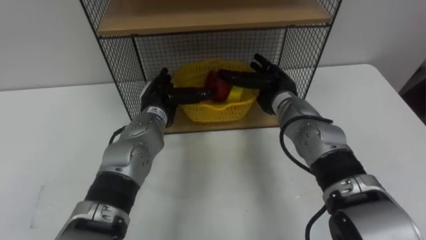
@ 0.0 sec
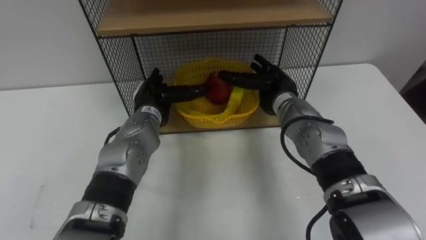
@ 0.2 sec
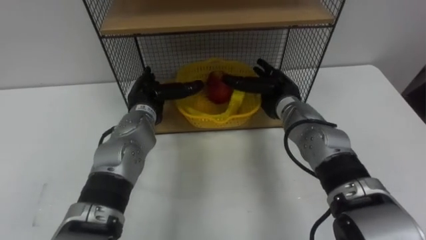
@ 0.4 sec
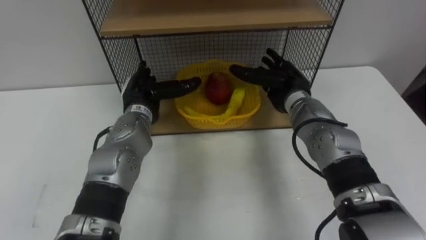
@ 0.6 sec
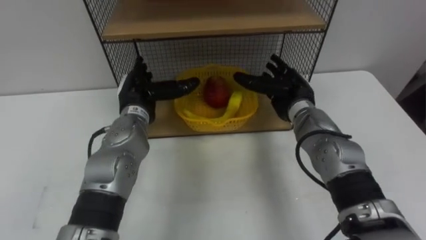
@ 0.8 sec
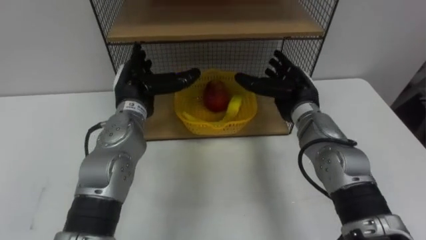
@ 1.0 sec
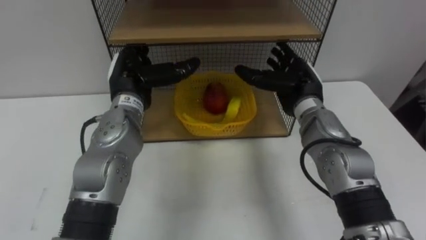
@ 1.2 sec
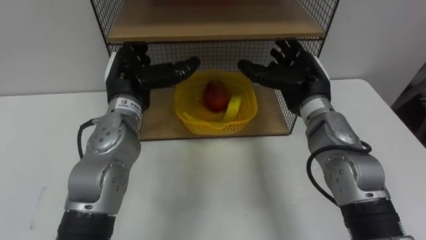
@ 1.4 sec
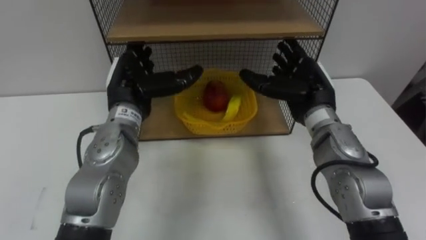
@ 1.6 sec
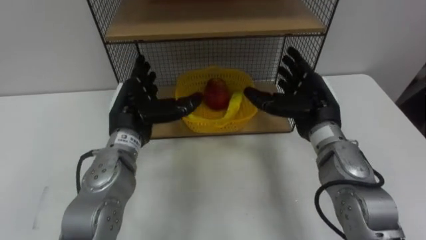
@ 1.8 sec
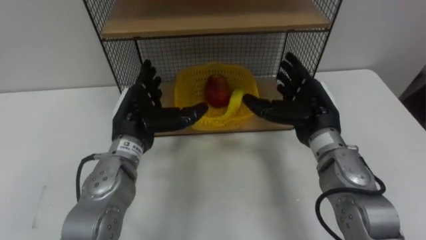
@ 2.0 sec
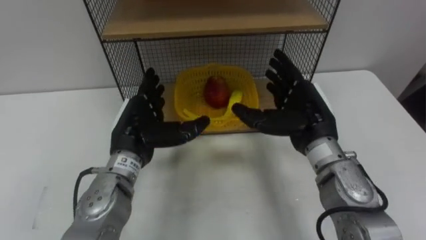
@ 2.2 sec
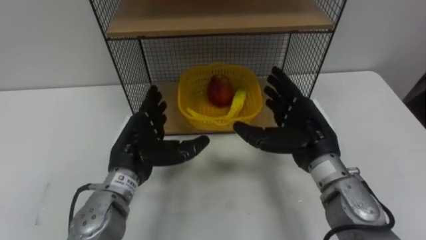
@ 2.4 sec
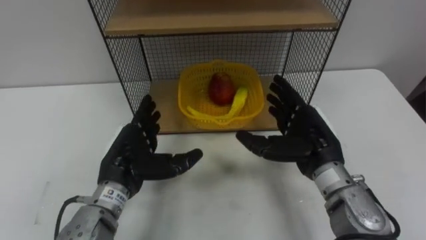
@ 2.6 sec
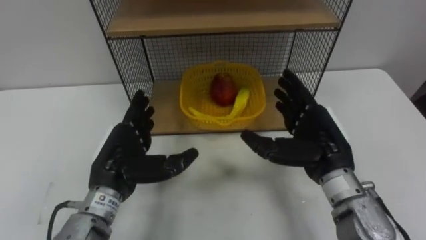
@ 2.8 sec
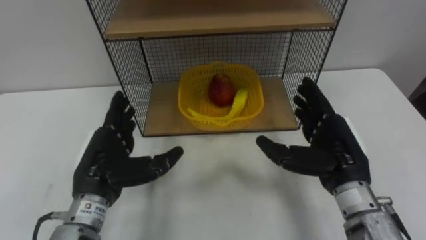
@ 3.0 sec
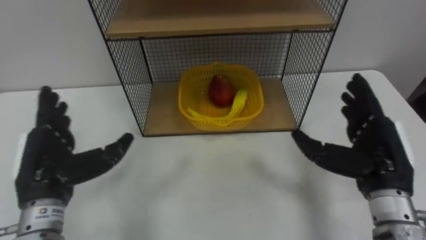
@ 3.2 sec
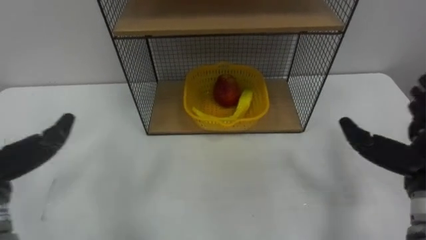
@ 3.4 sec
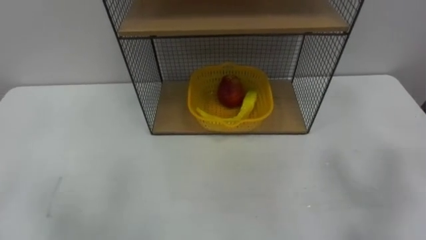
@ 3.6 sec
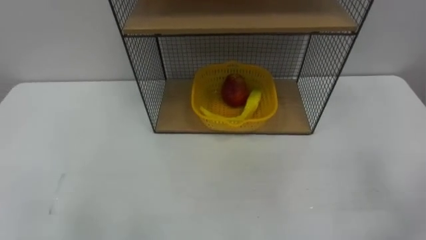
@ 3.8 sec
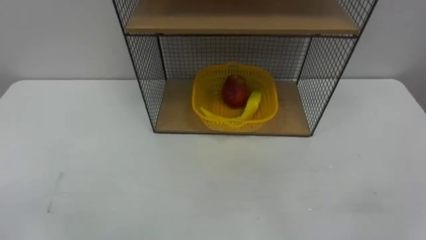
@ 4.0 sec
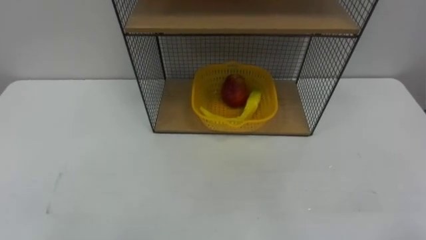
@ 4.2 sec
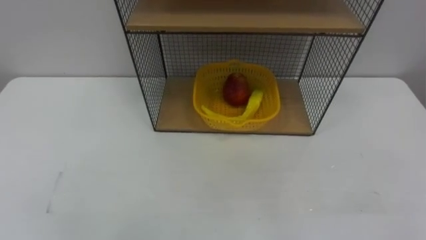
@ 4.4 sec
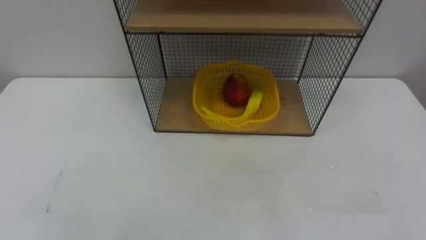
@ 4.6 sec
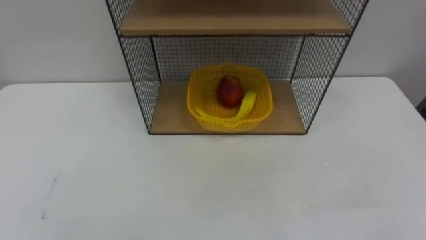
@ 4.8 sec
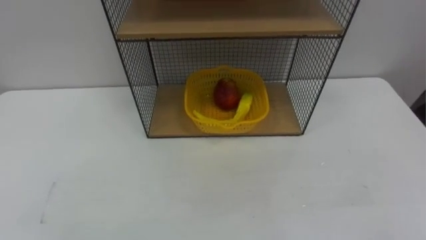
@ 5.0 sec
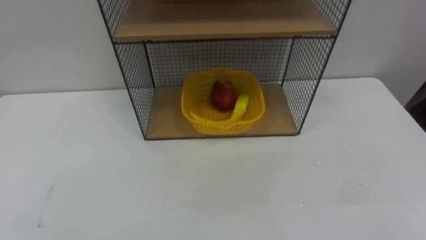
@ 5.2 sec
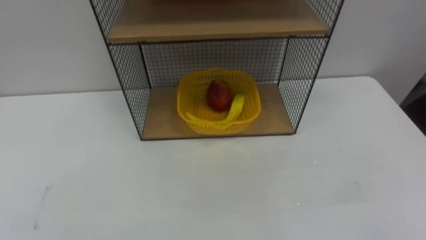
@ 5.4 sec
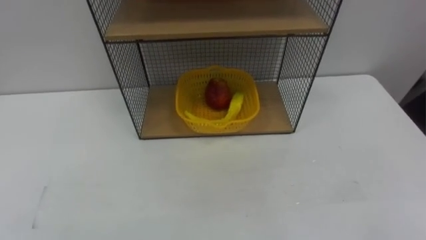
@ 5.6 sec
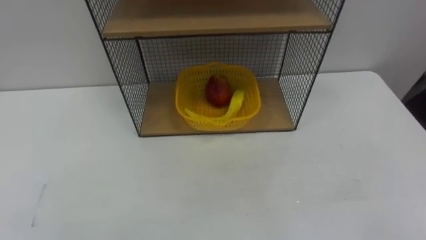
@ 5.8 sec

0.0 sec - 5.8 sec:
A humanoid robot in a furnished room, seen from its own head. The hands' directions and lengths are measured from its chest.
Task of the whole recording: Put the fruit on the table into the basket, then place the basket on the shelf.
0.0 sec - 1.4 sec: The left hand heads upward, covering roughly 10 cm, while the right hand is displaced upward by roughly 5 cm.
1.4 sec - 2.8 sec: The right hand moves backward, approximately 10 cm. Meanwhile the left hand moves backward and downward, approximately 15 cm.

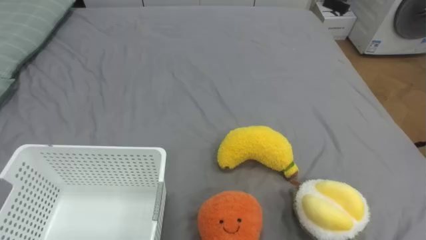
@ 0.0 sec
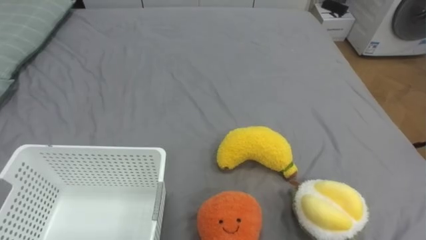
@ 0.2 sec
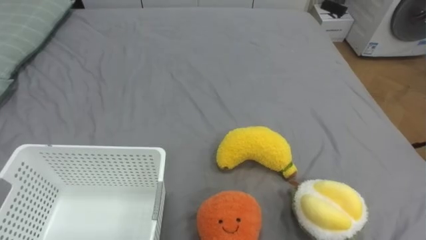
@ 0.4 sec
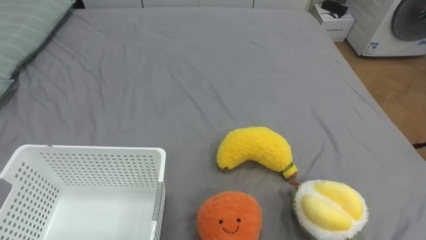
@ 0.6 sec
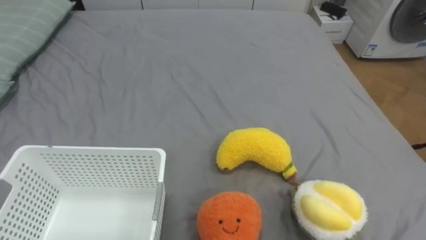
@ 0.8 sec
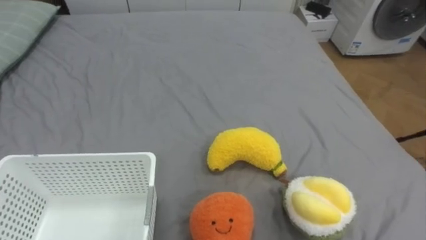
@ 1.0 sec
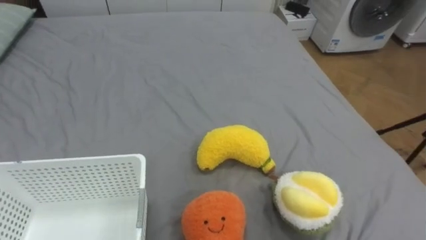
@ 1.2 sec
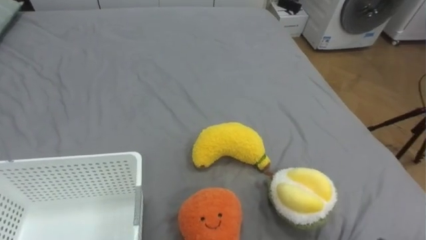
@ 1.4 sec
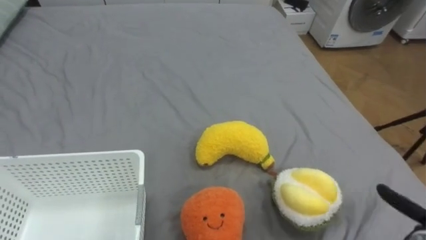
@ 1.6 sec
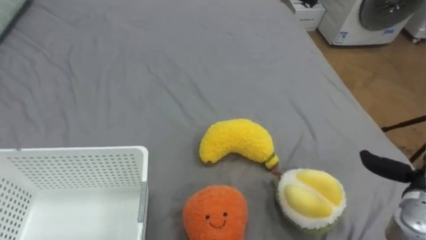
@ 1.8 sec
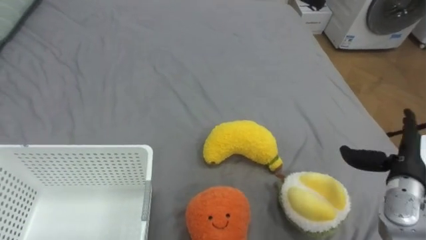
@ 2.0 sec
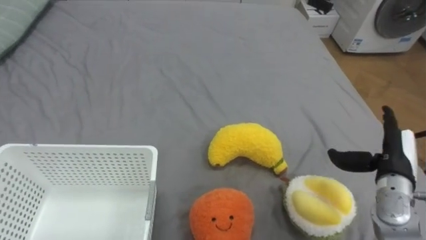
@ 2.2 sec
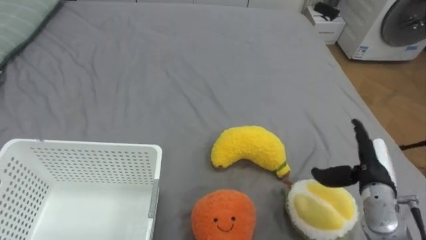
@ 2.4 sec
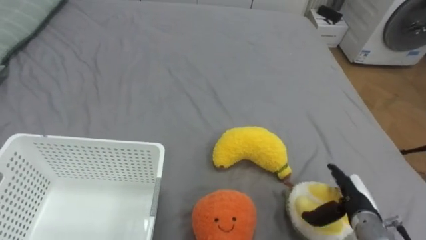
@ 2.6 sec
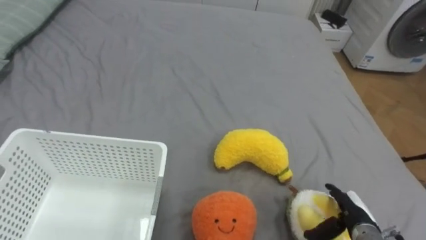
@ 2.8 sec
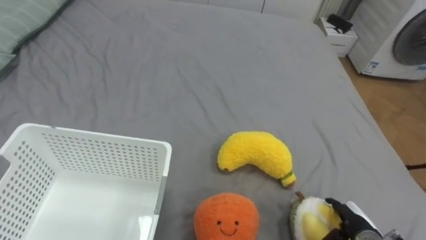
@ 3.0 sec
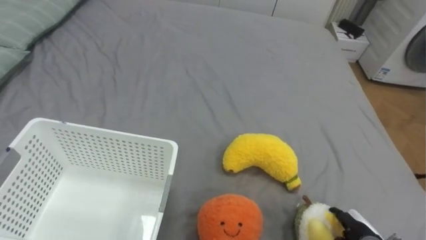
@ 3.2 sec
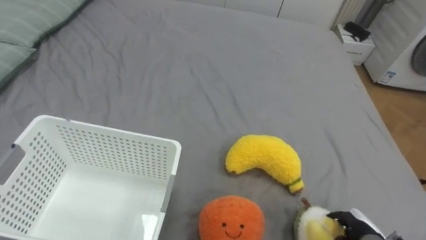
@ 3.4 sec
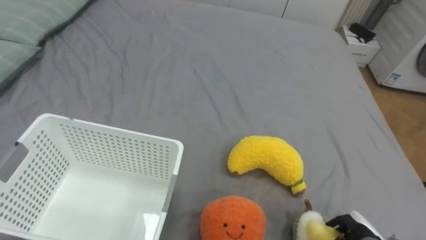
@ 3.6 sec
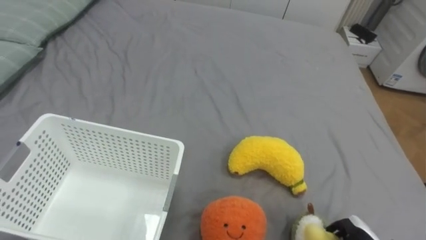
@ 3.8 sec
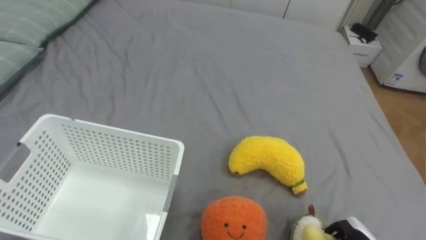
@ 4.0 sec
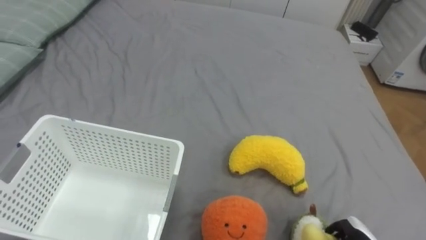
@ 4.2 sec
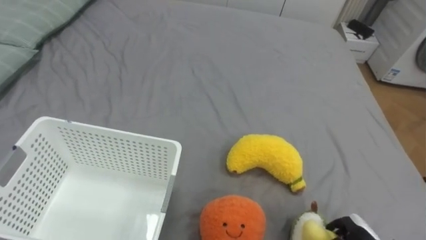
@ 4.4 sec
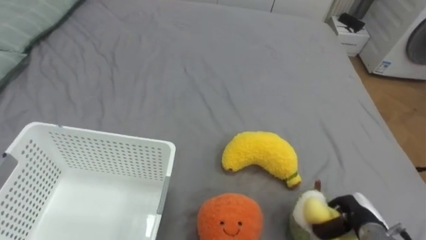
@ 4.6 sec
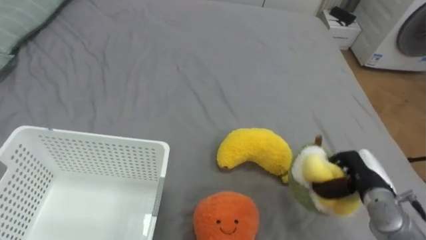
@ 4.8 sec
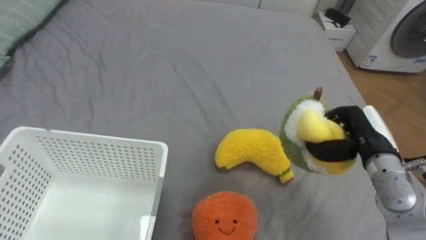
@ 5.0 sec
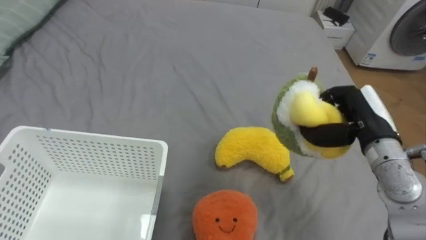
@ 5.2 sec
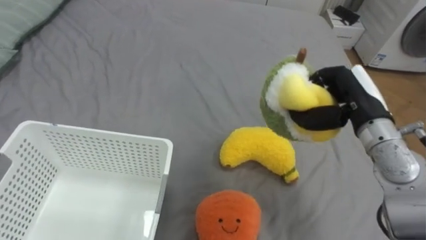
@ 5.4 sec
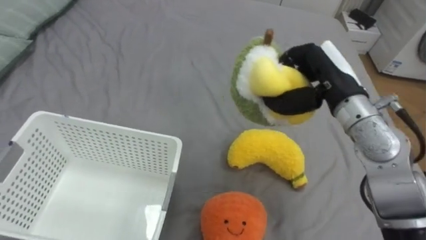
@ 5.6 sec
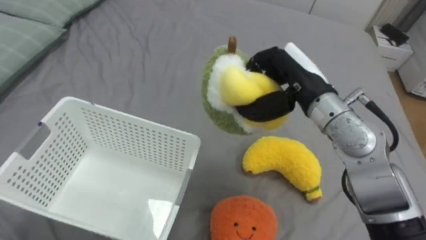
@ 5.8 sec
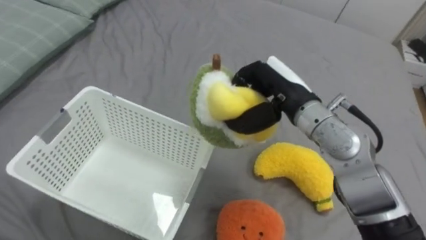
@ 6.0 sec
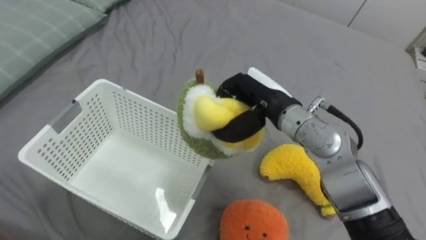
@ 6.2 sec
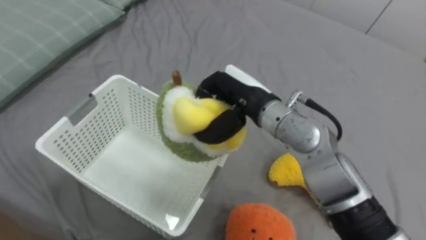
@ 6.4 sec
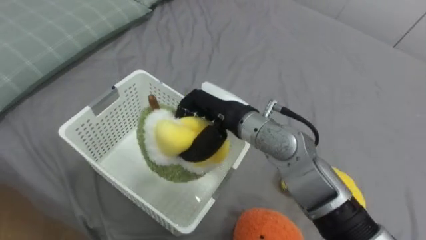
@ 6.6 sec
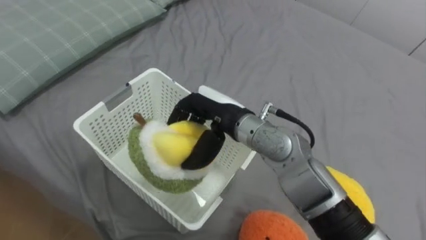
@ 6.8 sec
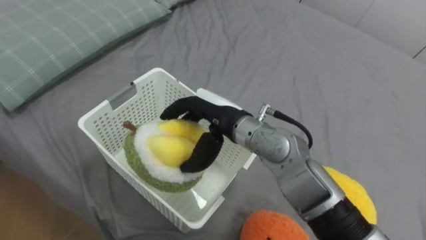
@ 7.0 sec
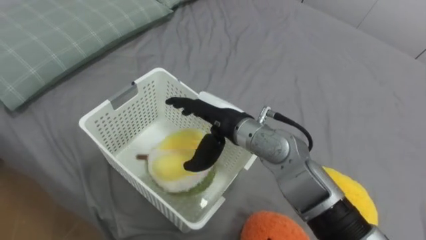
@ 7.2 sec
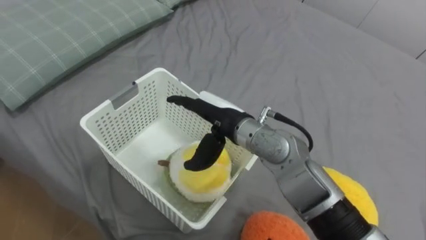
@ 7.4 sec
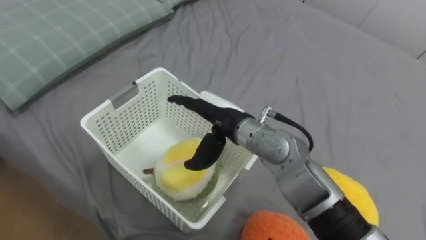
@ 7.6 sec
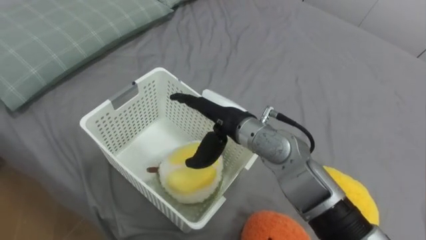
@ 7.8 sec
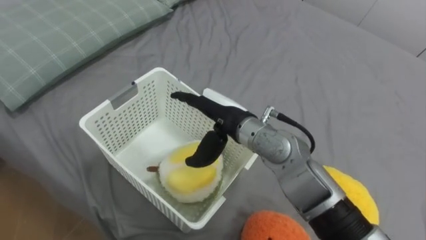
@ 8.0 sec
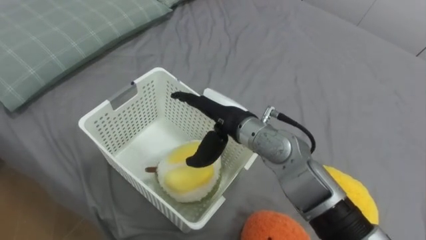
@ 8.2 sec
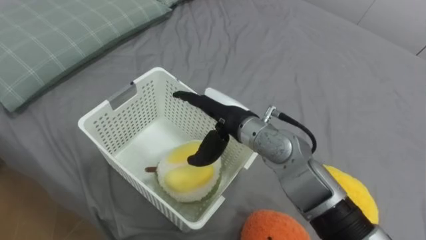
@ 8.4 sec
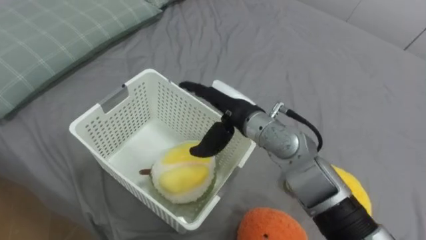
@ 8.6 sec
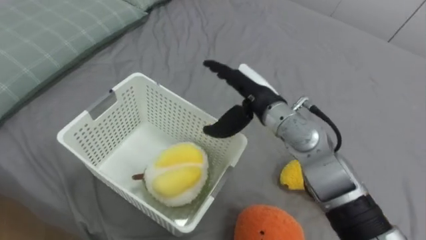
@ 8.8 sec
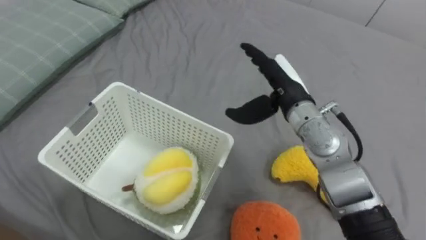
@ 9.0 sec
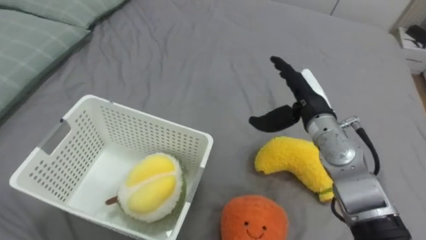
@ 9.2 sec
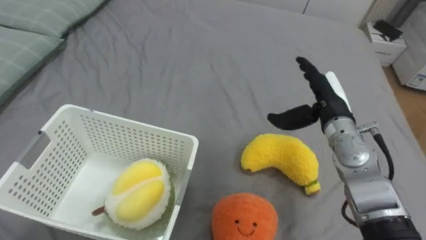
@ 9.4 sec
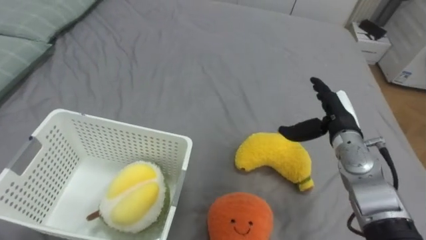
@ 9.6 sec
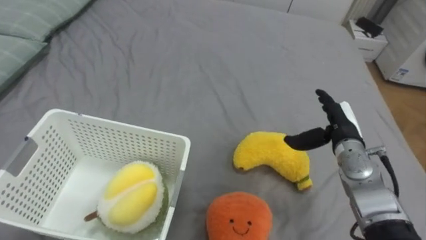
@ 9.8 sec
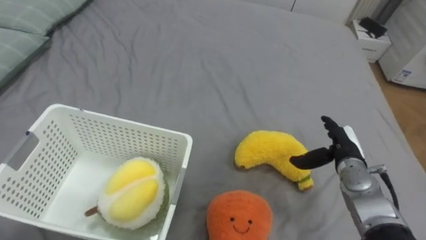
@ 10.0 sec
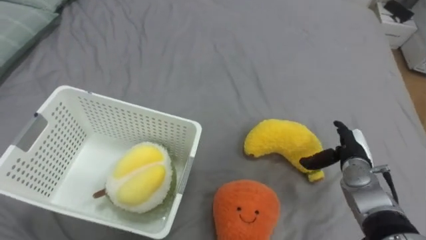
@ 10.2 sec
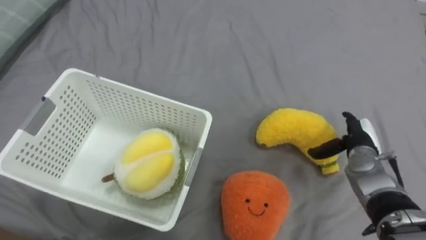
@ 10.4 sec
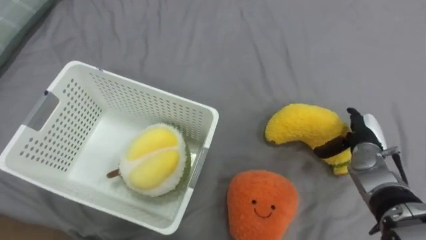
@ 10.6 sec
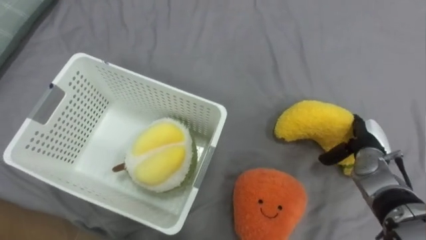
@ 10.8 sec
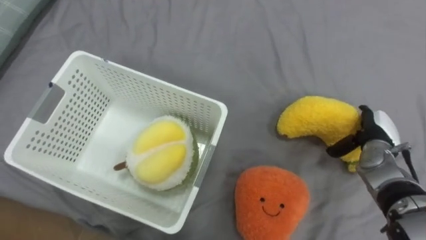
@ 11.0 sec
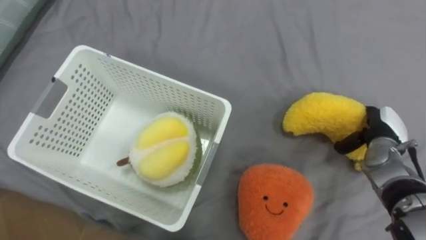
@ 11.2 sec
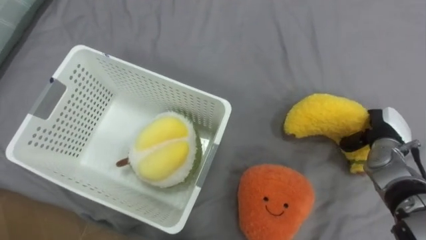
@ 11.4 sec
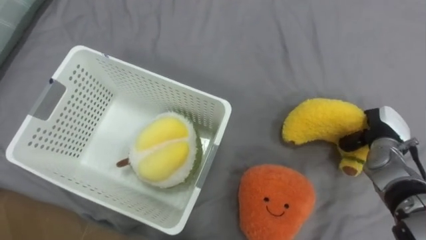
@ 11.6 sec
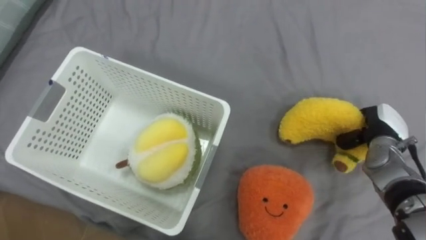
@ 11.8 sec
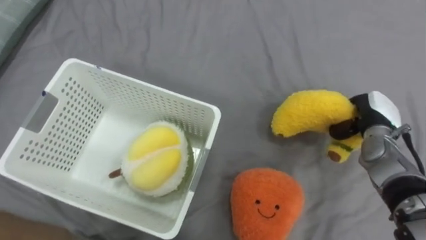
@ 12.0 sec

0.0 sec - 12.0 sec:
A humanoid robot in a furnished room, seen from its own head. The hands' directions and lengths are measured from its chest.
Task of the whole recording: Put the toys on the bed into the basket on the left.
4.4 sec - 6.0 sec: The right hand moves upward, to the left and forward, roughly 40 cm.
6.0 sec - 7.6 sec: The right hand shifts approximately 10 cm to the left, and opens its fingers.
7.6 sec - 9.0 sec: The right hand goes about 10 cm to the right.
9.0 sec - 10.4 sec: The right hand shifts some 25 cm to the right and downward.
10.4 sec - 12.0 sec: The right hand ends up roughly 5 cm from where it was, and closes its fingers.
